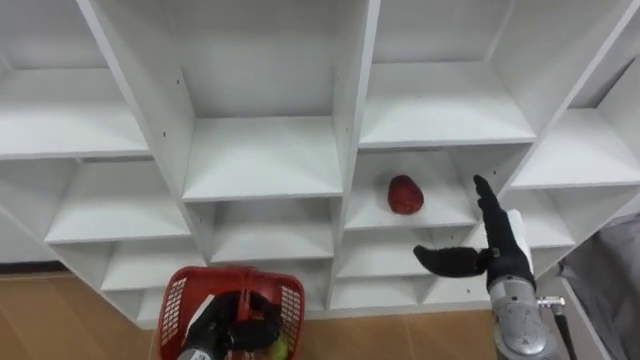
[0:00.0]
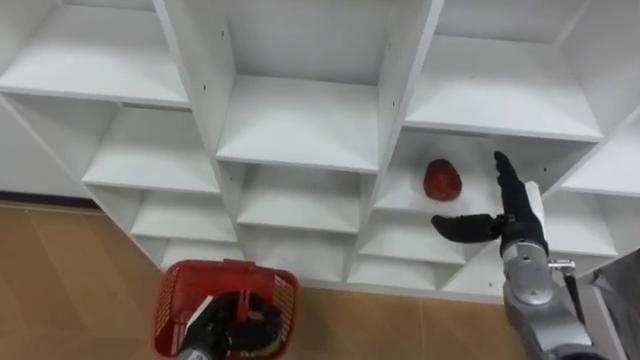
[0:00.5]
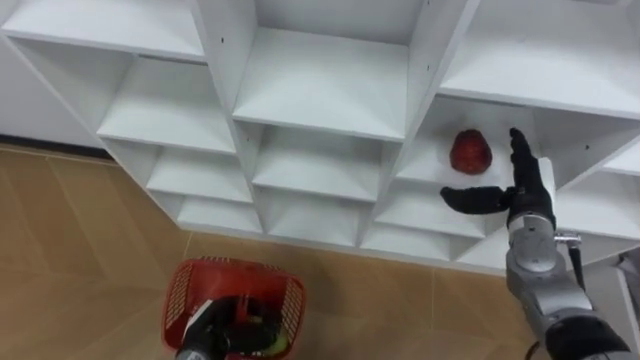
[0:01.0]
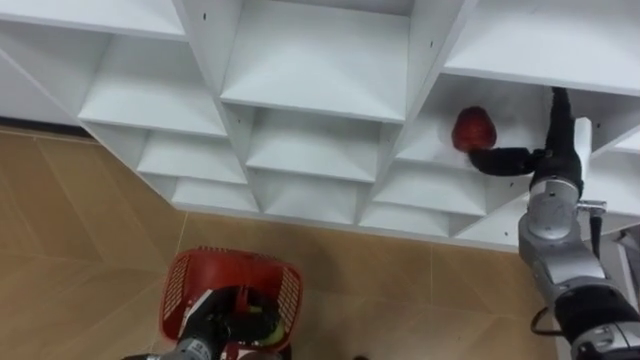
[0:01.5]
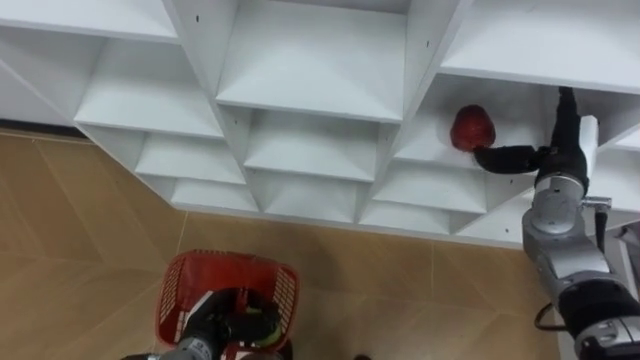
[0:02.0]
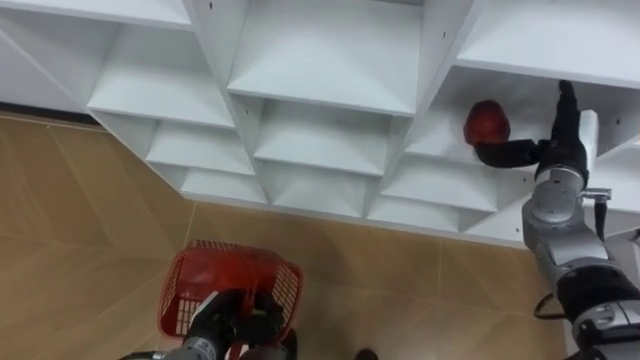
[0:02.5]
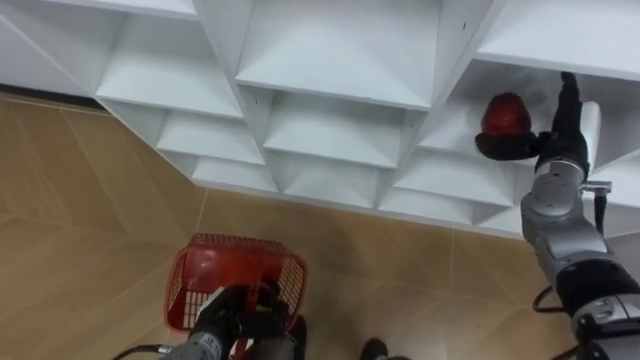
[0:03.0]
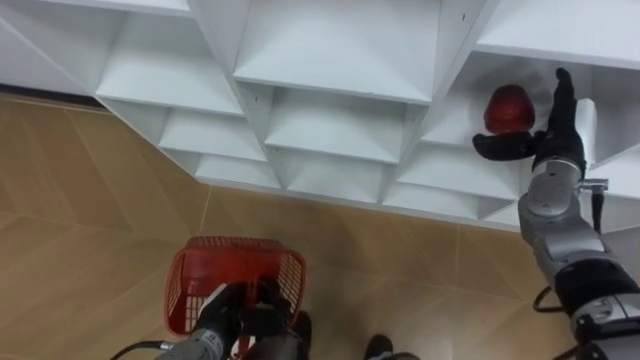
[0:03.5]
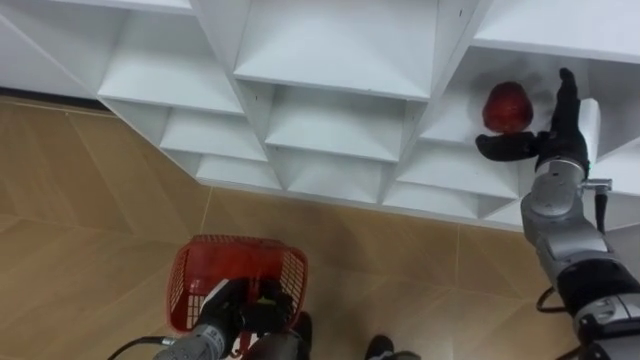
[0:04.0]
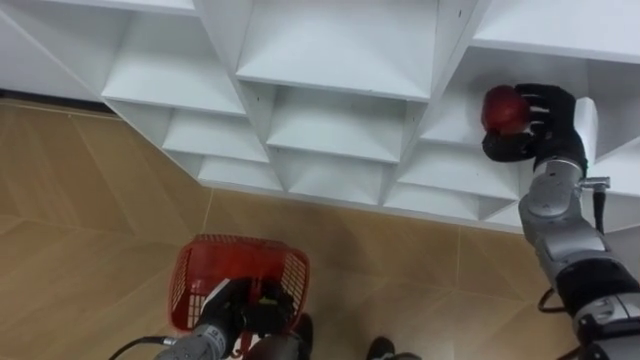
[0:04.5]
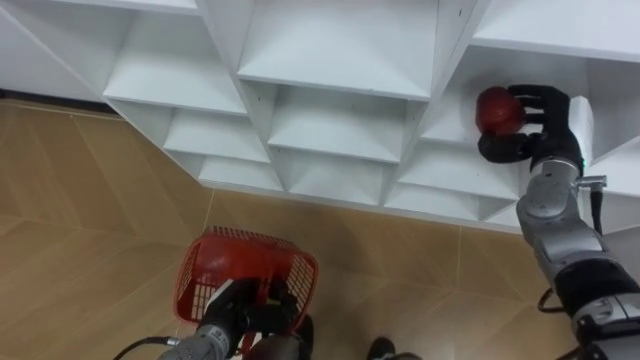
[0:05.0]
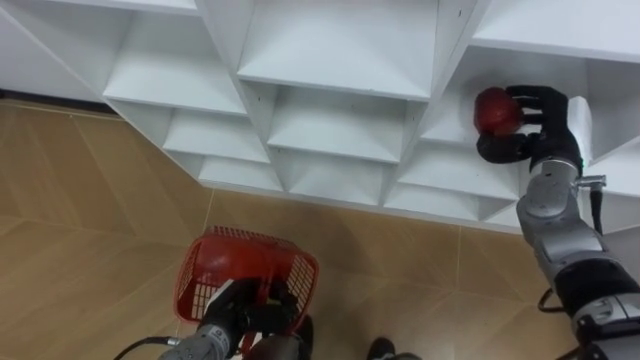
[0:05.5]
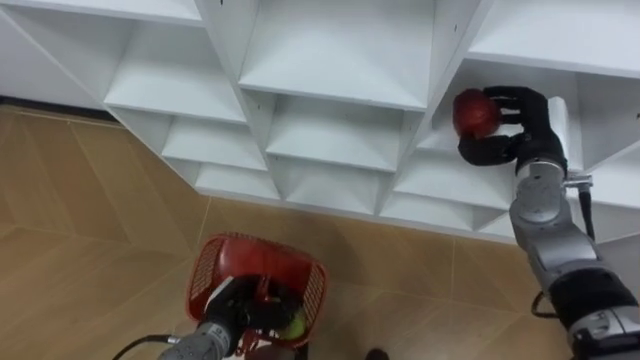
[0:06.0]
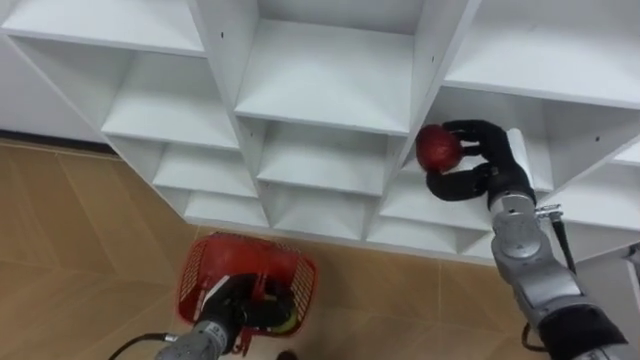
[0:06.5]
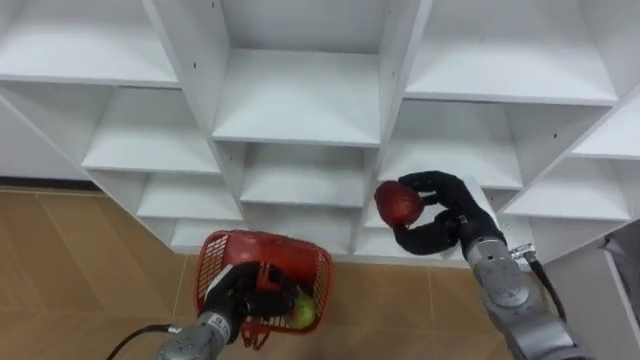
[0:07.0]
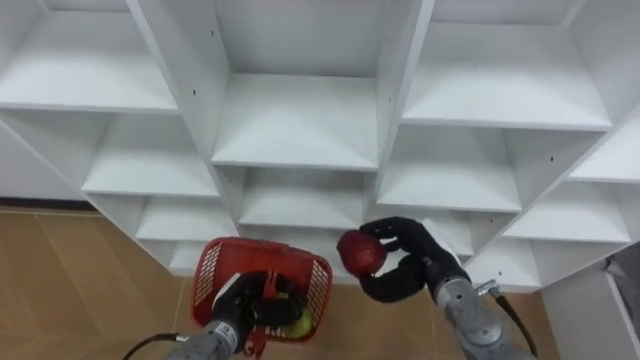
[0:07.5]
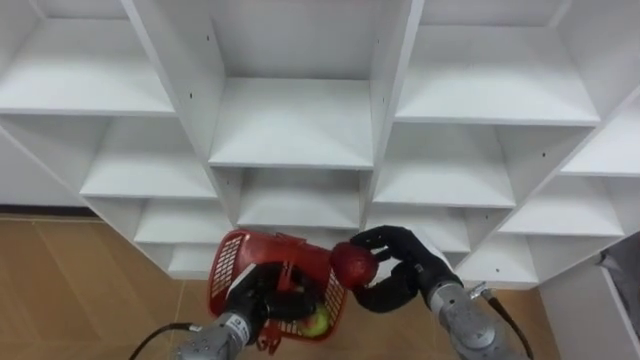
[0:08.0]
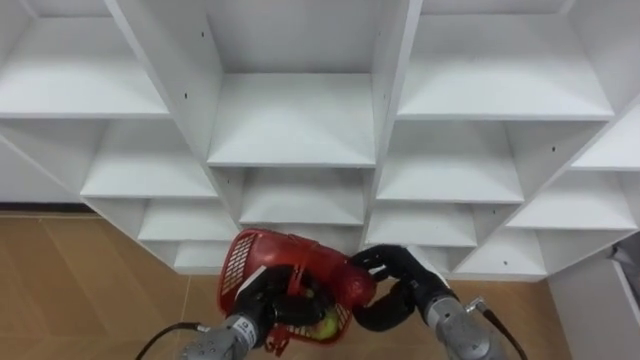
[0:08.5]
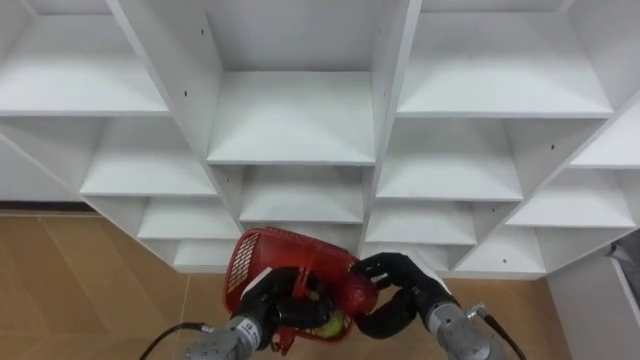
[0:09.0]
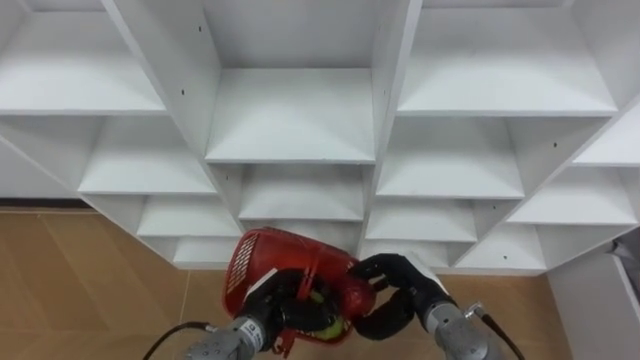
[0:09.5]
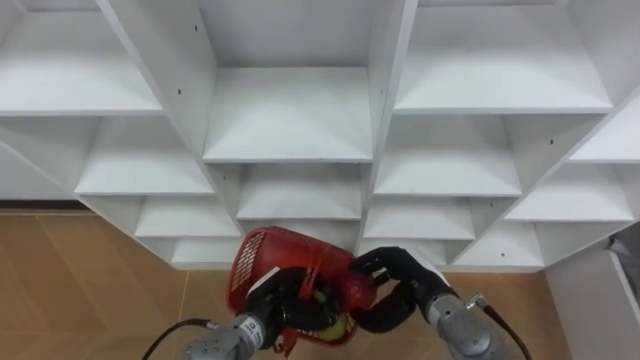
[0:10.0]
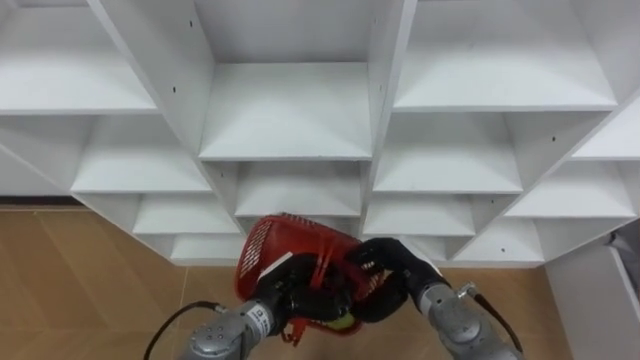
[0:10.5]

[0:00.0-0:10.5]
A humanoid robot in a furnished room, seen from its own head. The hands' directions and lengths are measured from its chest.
Task of the whole recording: Hold the basket and collect the fruits from 3 different cells of the closet into it.
0:00.0 to 0:02.0: The right hand shifts roughly 15 cm forward, upward and to the right.
0:04.0 to 0:06.5: The right hand moves to the left, about 5 cm, and closes up.
0:06.5 to 0:08.5: The left hand moves roughly 5 cm. Meanwhile the right hand goes approximately 20 cm downward, backward and to the left.

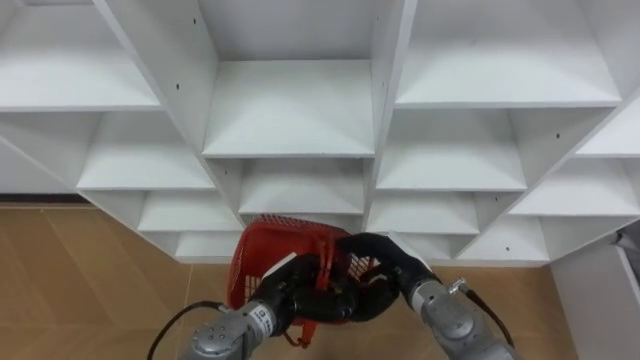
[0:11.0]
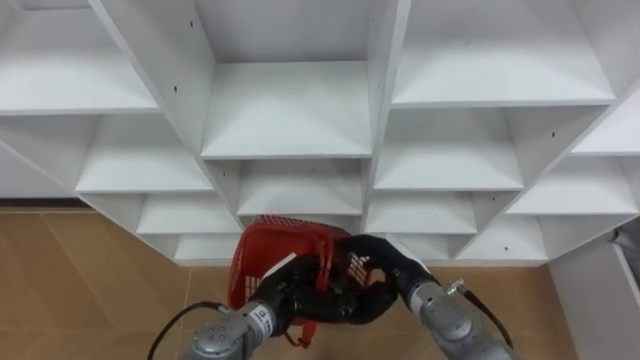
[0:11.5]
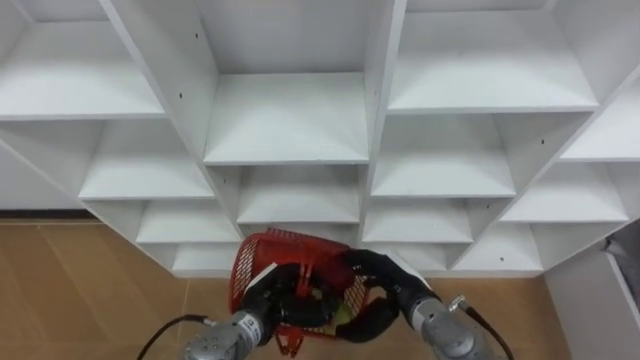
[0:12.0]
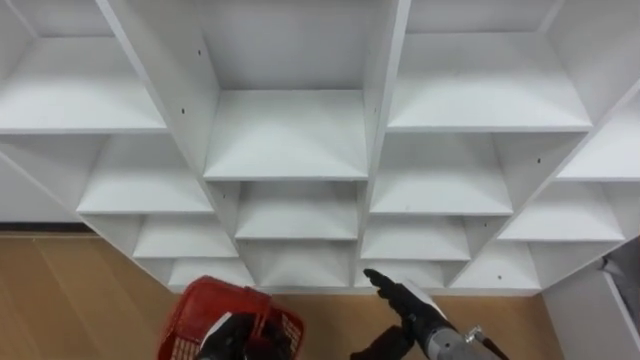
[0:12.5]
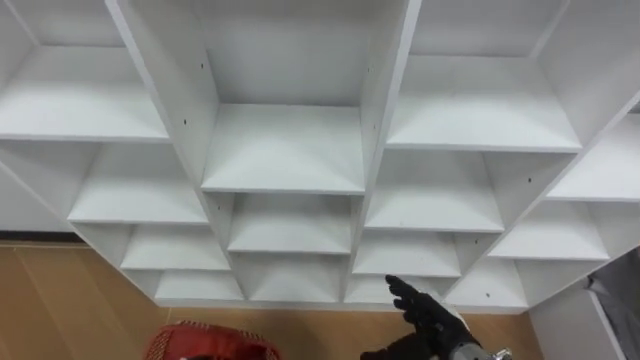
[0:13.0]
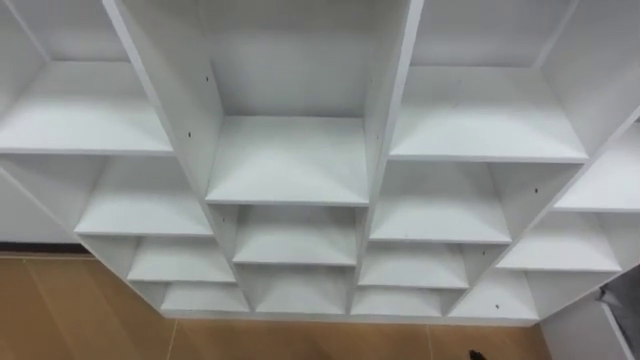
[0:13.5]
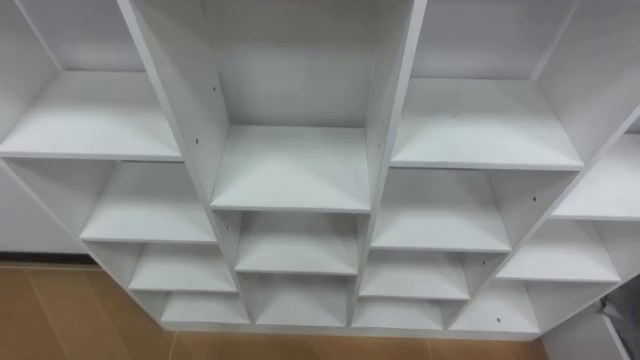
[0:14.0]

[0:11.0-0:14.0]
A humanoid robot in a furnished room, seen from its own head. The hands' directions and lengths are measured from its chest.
Task of the whole recording: Hold the basket and collect the fruits from 3 different cells of the closet into it.
0:11.0 to 0:12.5: The left hand travels to the left, downward and backward by some 15 cm. Meanwhile the right hand goes some 5 cm backward.

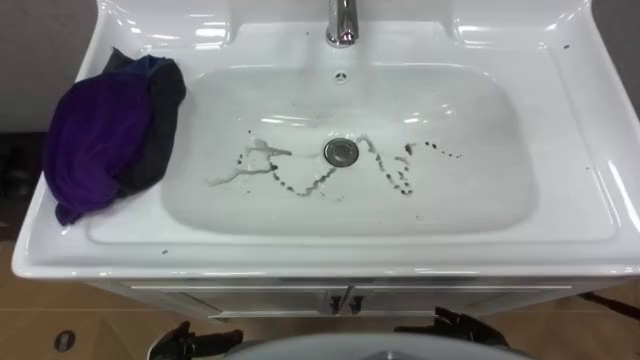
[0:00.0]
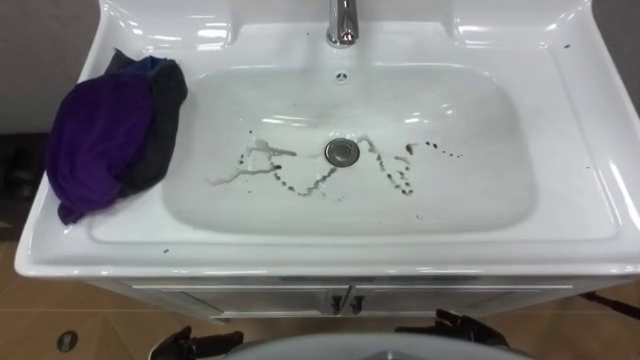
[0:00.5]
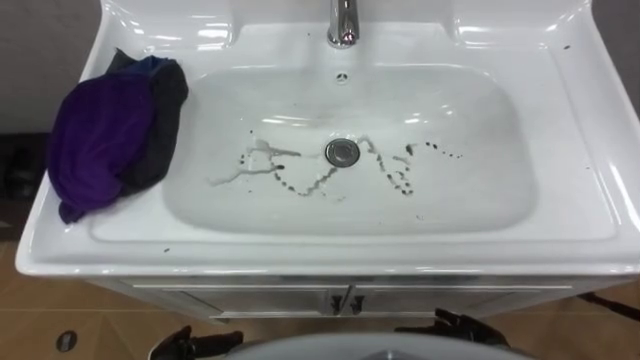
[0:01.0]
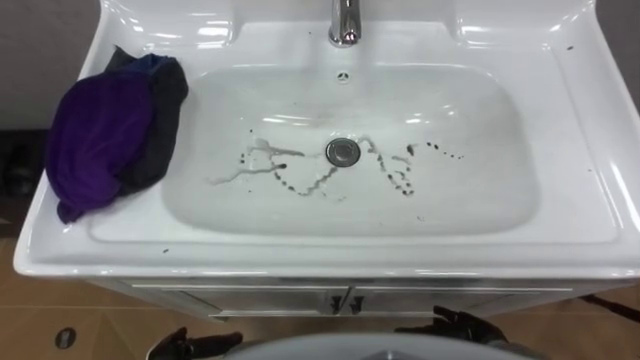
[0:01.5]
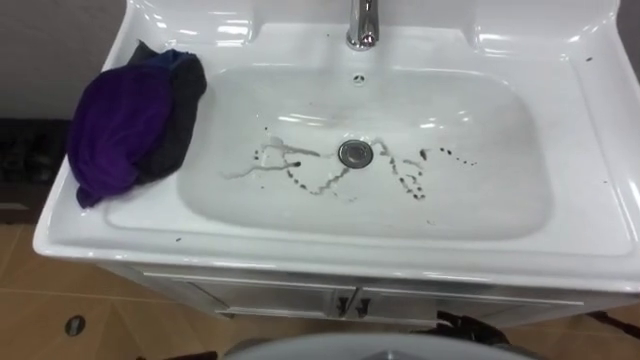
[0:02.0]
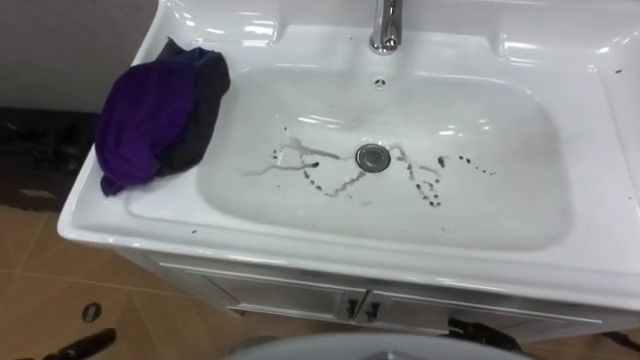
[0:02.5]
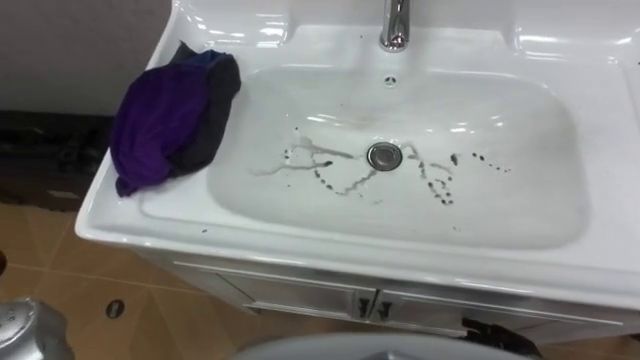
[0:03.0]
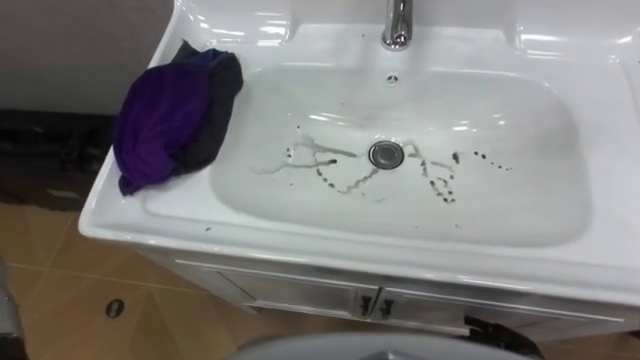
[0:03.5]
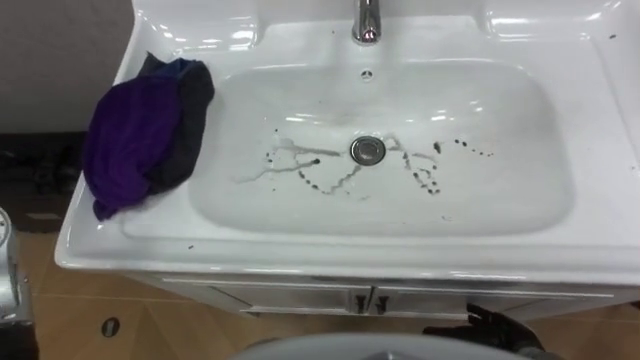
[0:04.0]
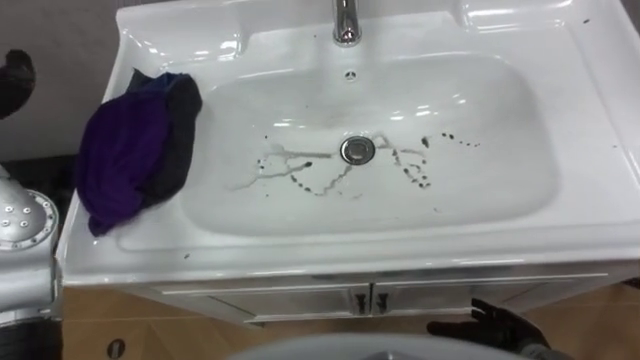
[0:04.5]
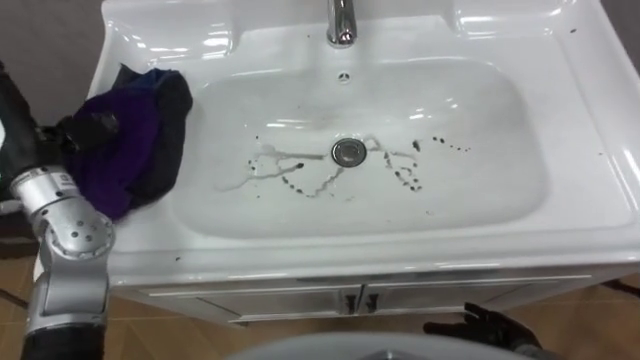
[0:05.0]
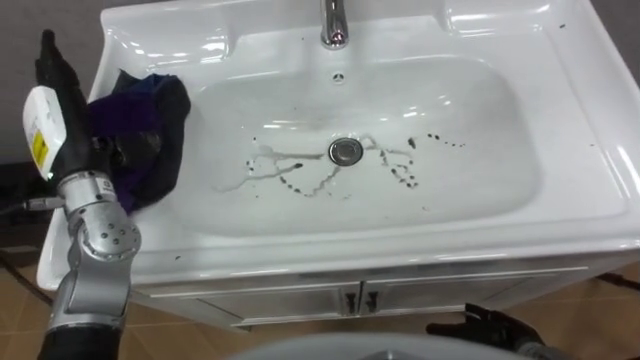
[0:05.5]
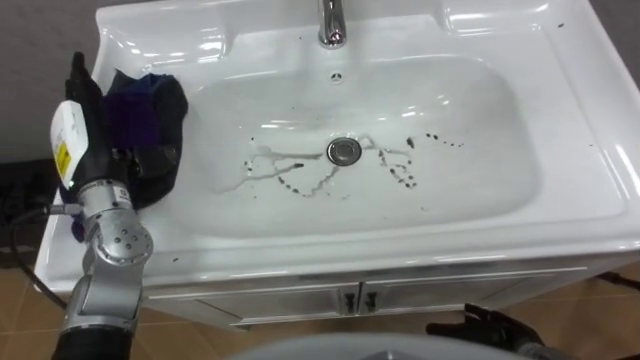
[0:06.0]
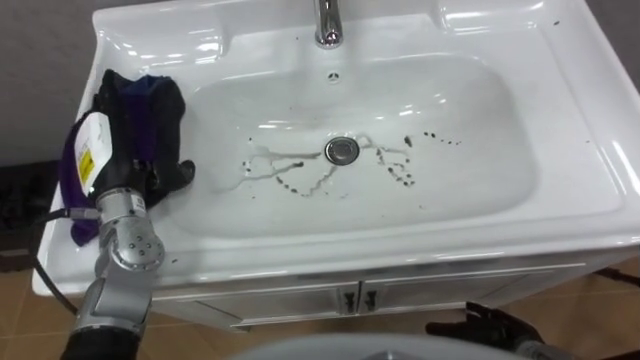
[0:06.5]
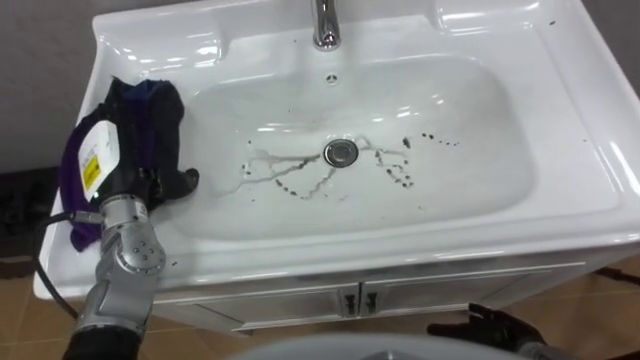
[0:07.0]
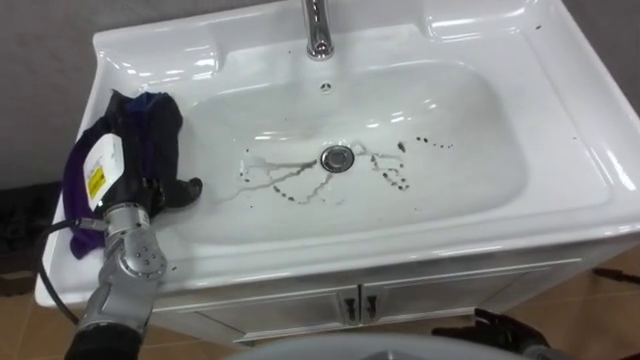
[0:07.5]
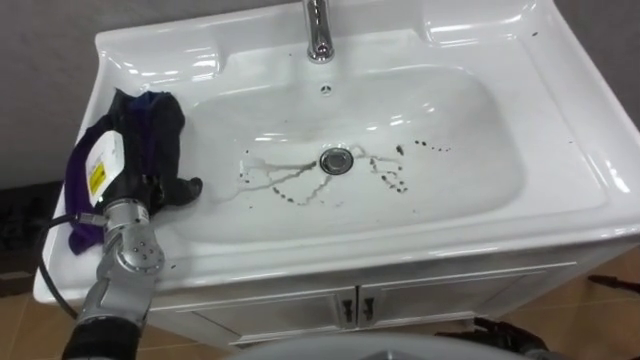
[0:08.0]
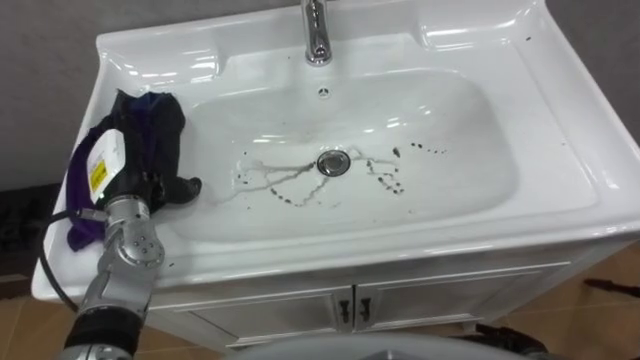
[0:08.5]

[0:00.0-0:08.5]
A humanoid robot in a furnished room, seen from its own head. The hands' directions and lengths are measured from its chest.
Task of the whole recording: Use the cloth on the right to wipe away the black stain in the sink.
0:06.5 to 0:08.5: The left hand heads downward, covering roughly 5 cm.
